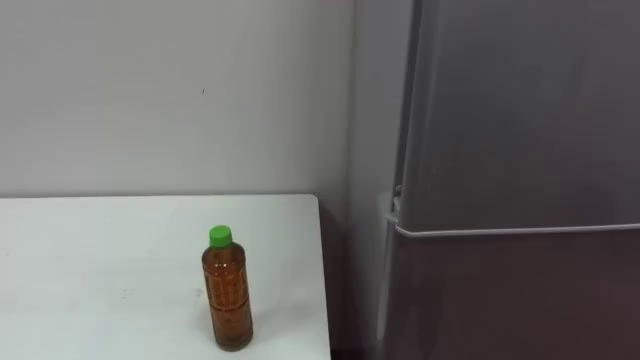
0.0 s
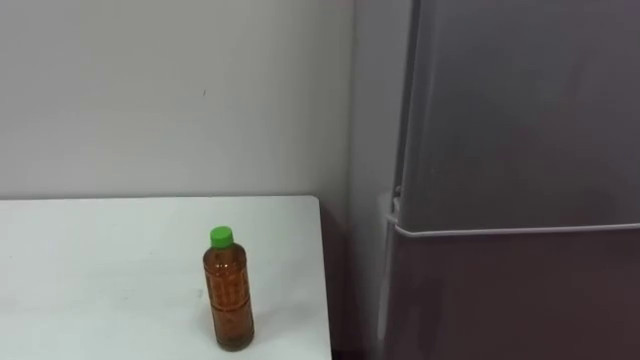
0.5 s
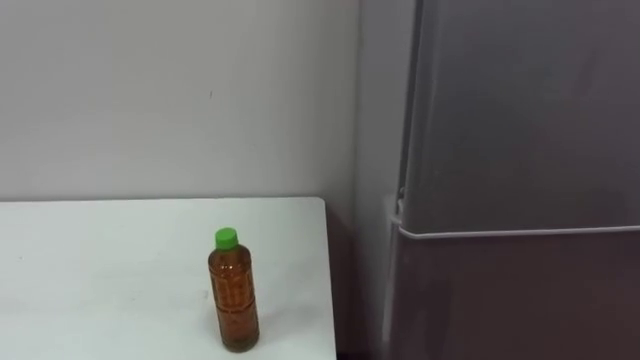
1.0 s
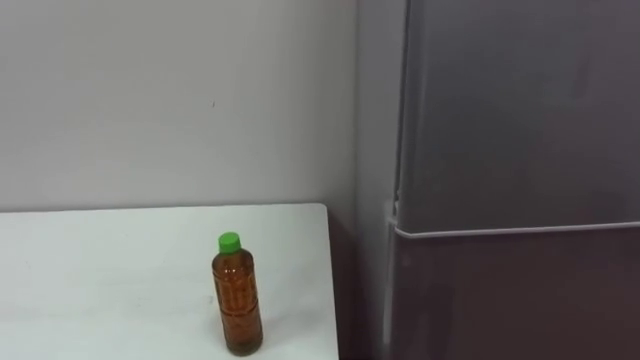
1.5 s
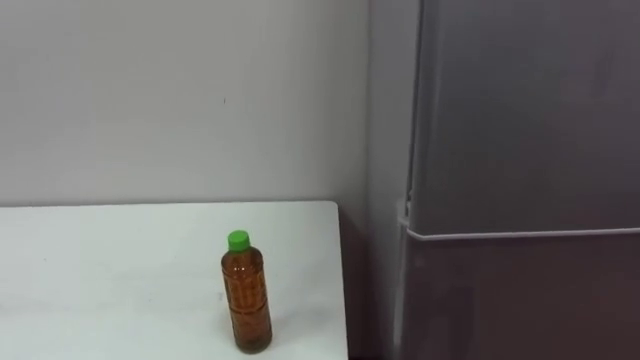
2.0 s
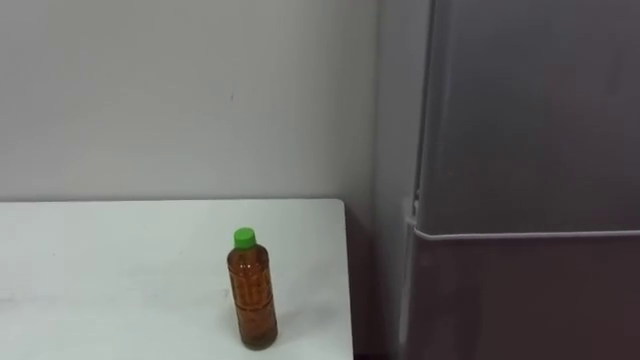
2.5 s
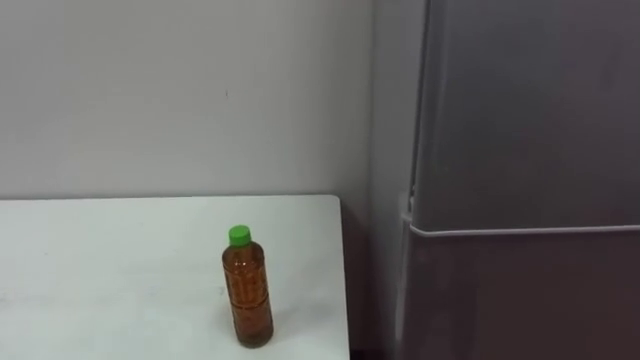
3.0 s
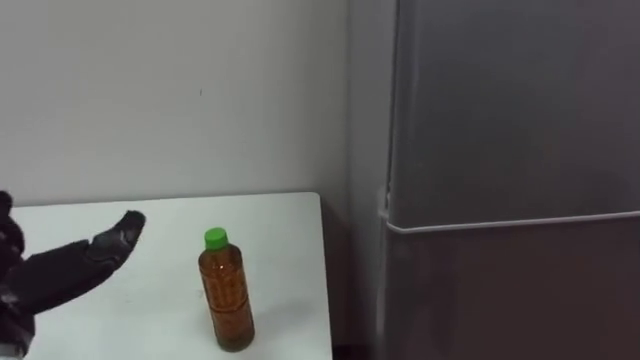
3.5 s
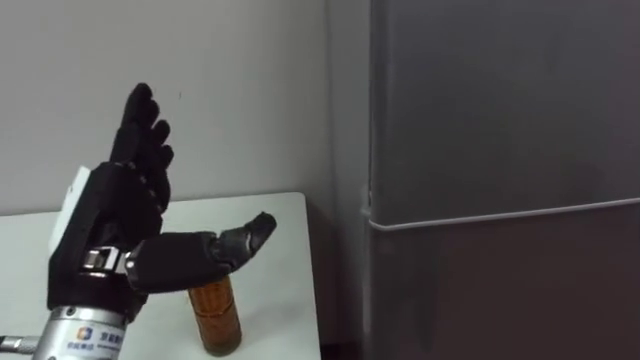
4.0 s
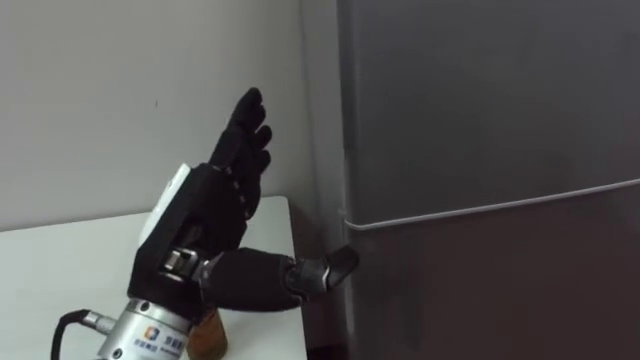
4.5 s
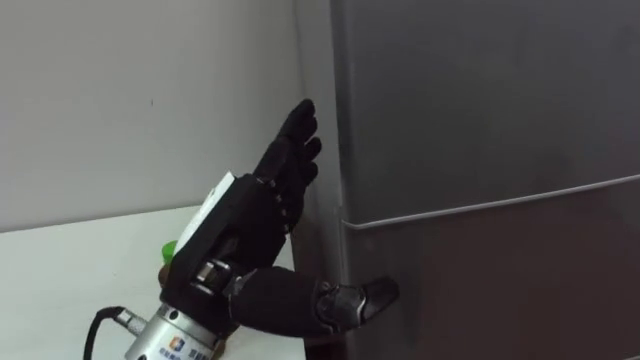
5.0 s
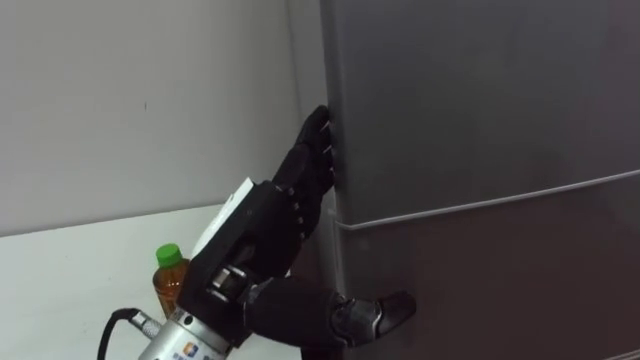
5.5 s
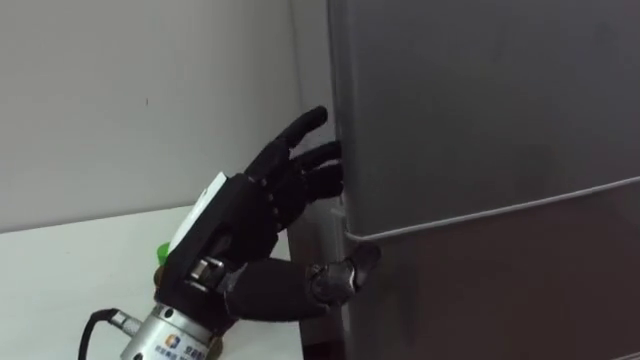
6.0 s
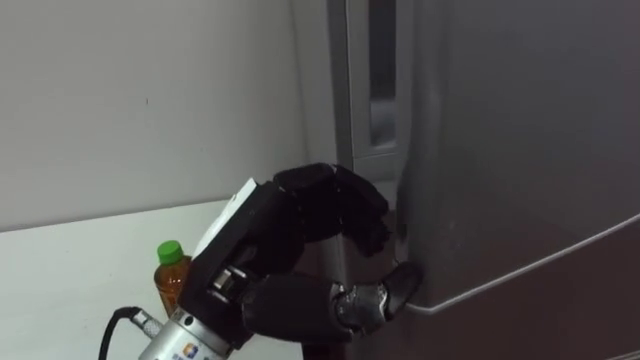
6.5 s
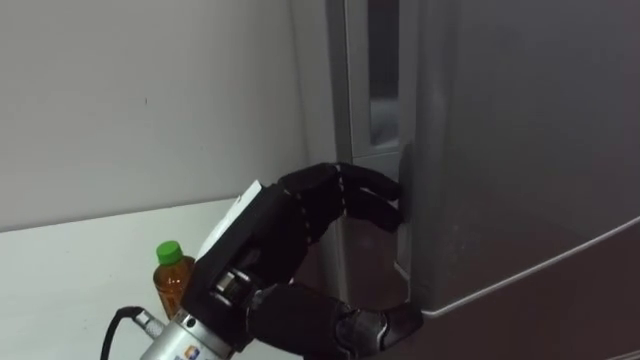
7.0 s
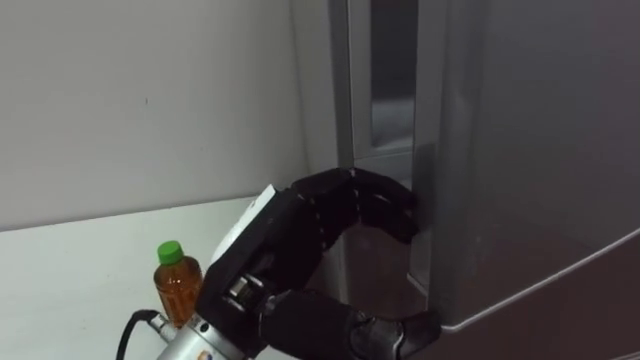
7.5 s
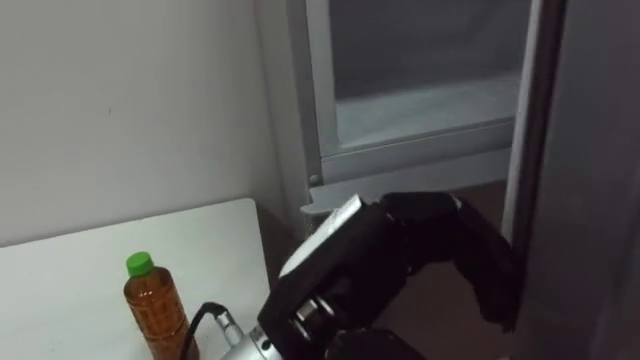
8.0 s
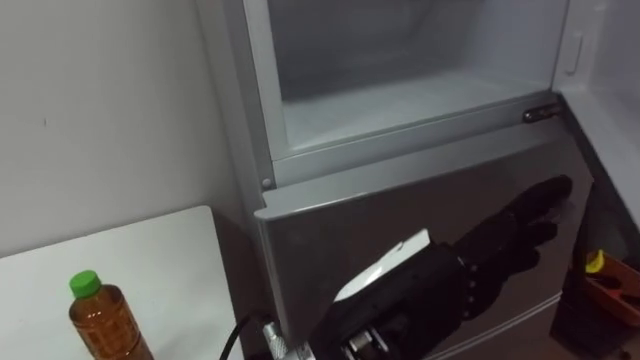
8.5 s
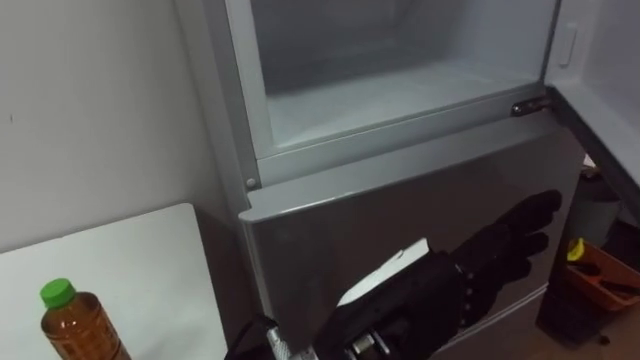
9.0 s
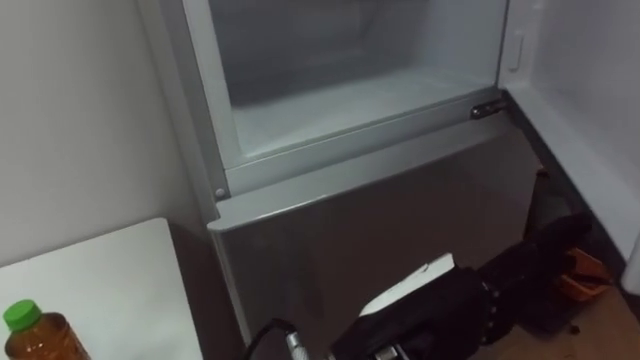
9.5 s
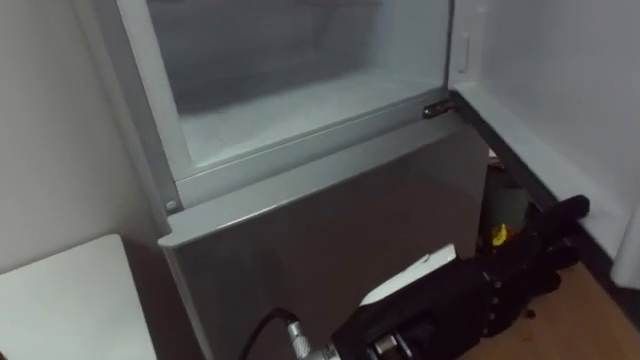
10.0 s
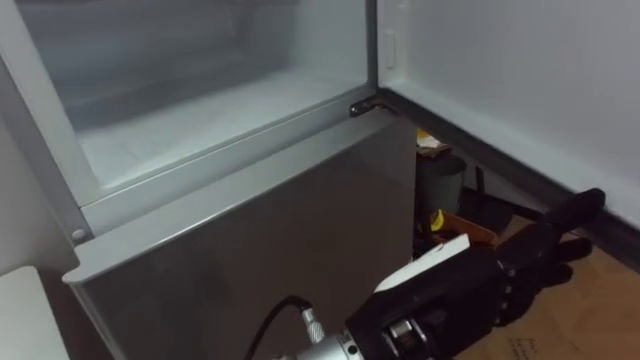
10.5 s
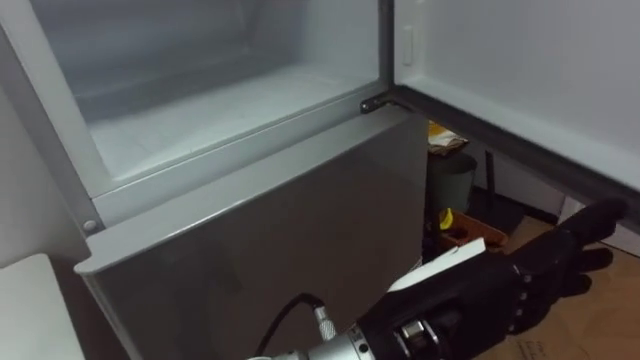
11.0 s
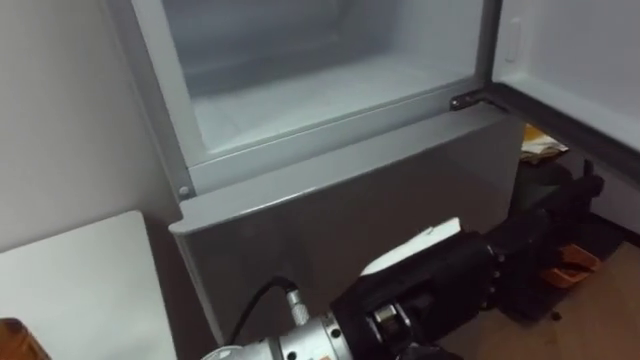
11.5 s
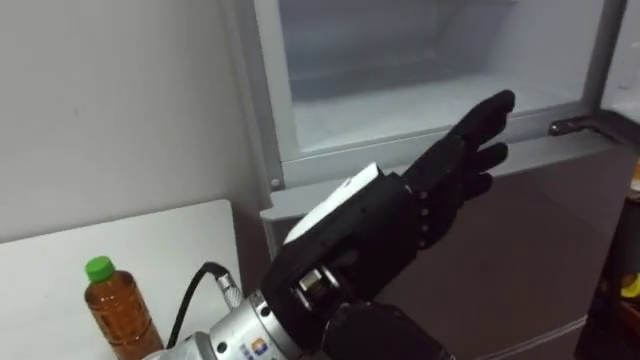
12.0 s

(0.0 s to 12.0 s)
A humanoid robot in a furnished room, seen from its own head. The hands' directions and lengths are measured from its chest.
Task of the whole recording: Open the upper refrigerator door, put the drink from the table into the refrigerator, and then close the refrigerator door.
4.0 s - 6.0 s: The left hand moves to the right, about 10 cm.
6.0 s - 8.0 s: The left hand travels to the right by approximately 10 cm, and closes and opens again.
8.0 s - 10.0 s: The left hand is displaced to the right by approximately 5 cm.
10.0 s - 12.0 s: The left hand moves some 5 cm.

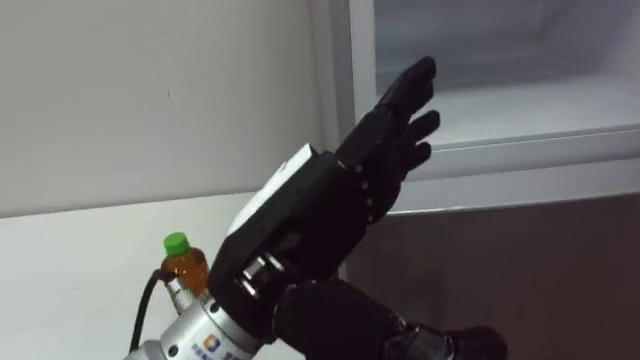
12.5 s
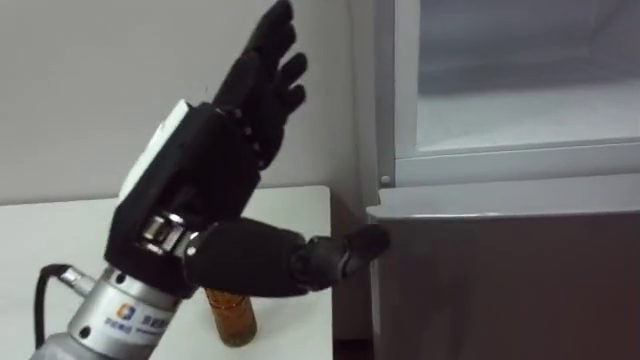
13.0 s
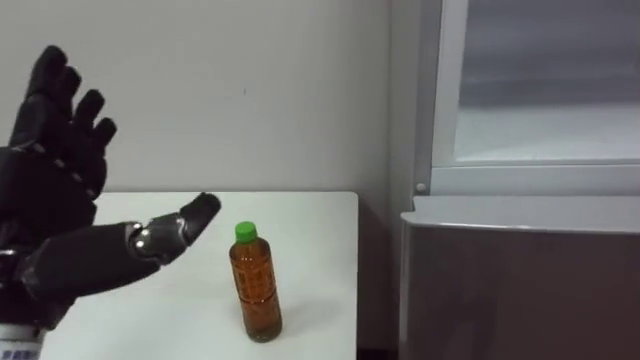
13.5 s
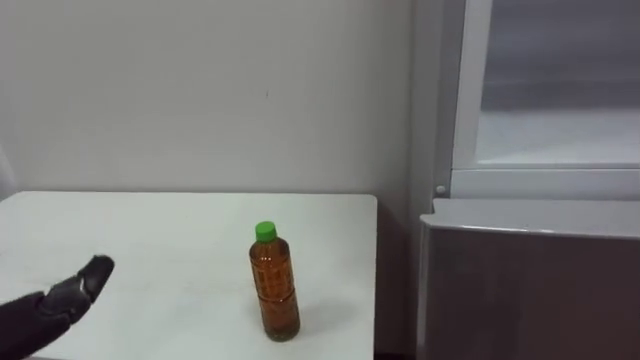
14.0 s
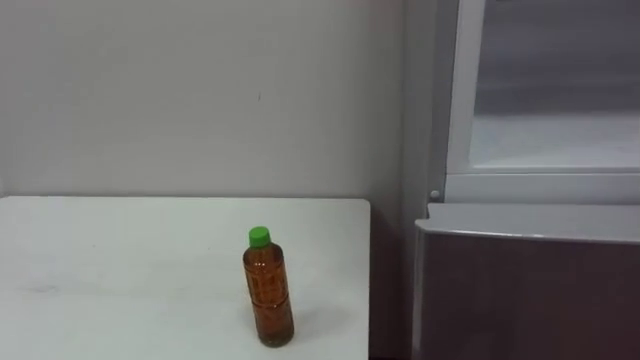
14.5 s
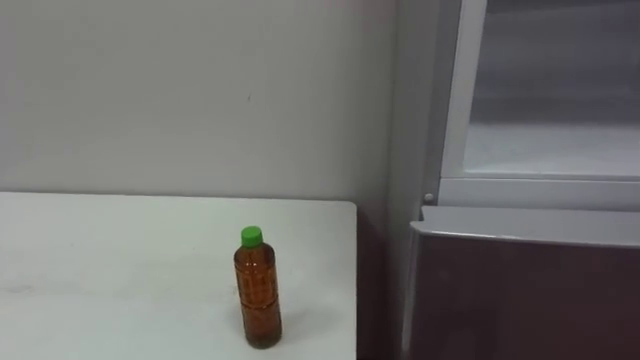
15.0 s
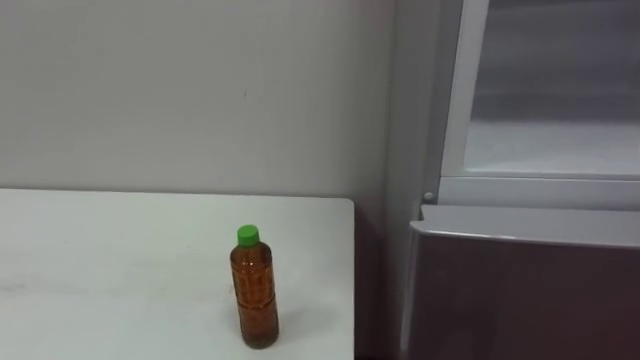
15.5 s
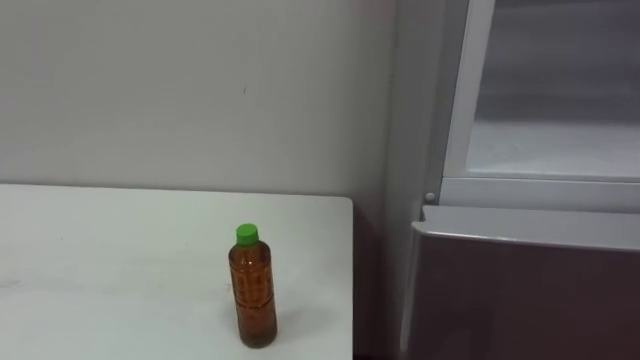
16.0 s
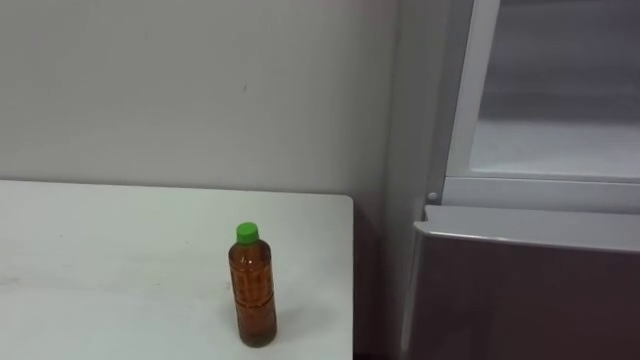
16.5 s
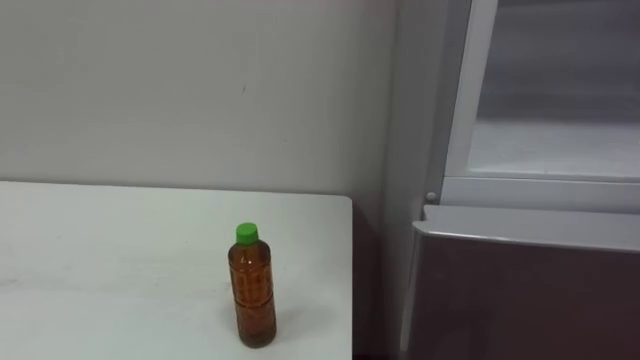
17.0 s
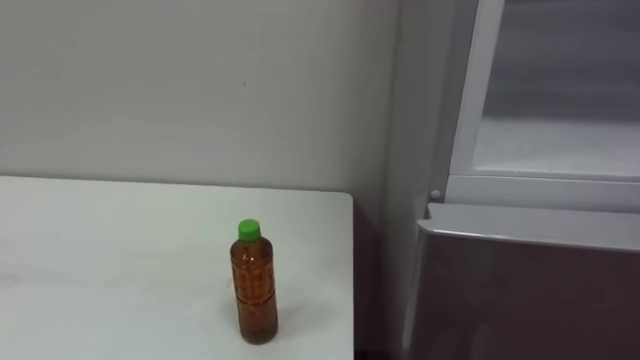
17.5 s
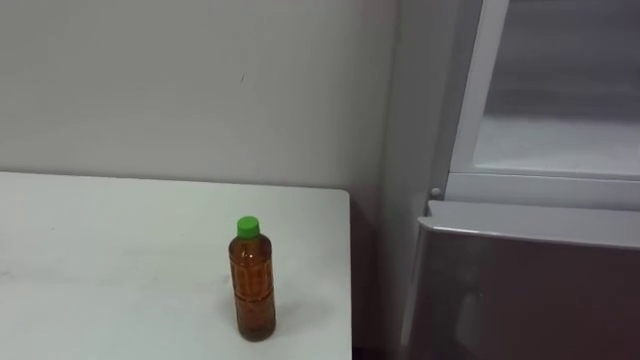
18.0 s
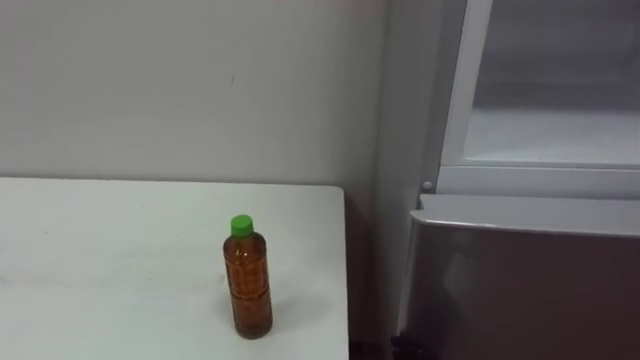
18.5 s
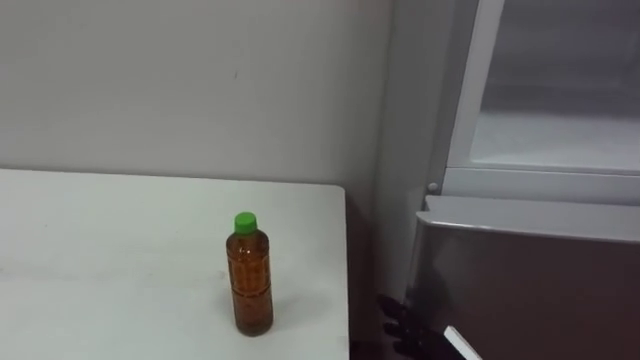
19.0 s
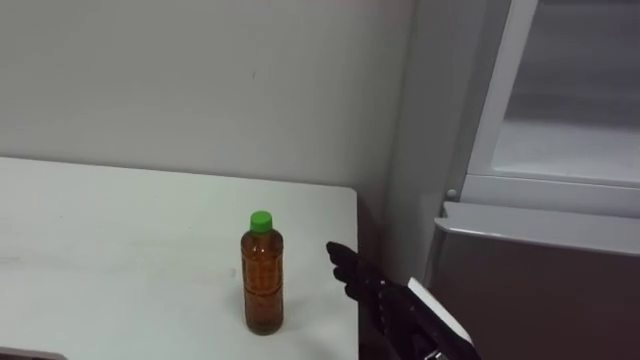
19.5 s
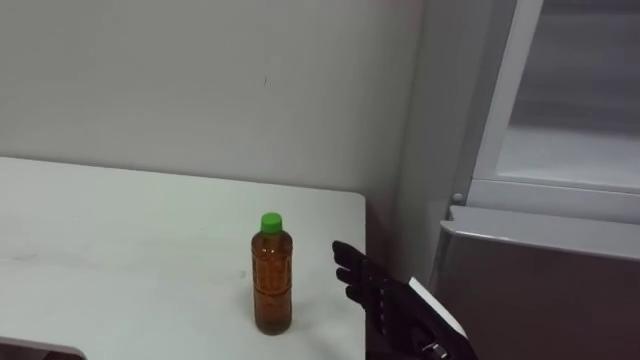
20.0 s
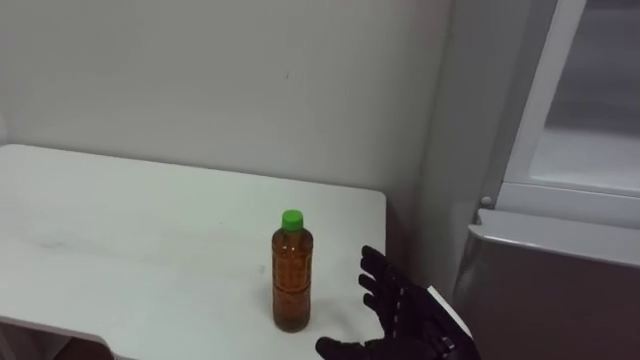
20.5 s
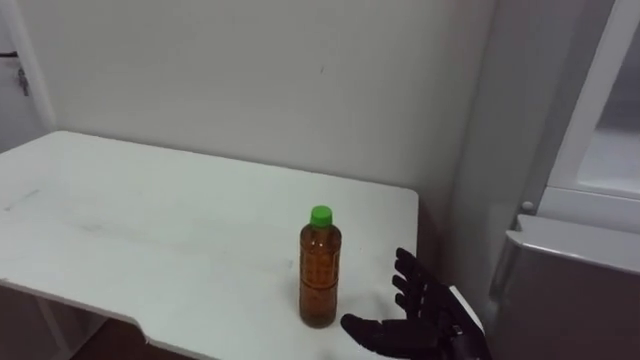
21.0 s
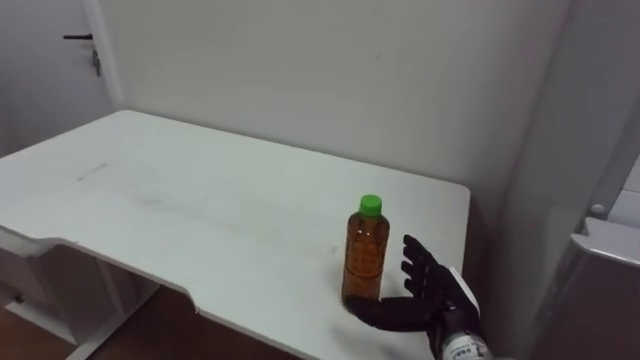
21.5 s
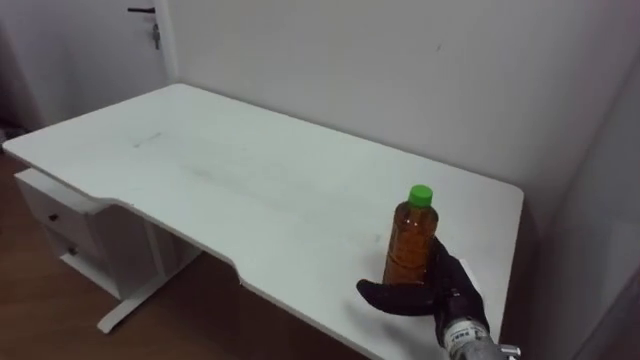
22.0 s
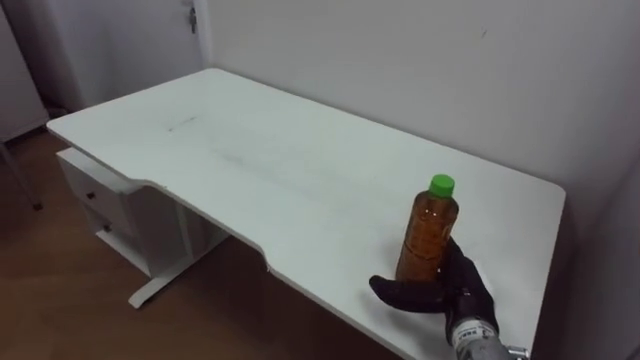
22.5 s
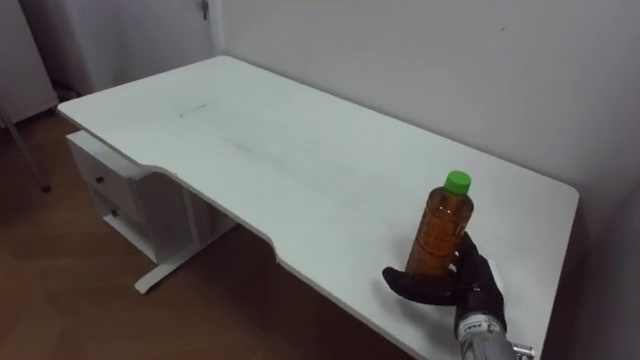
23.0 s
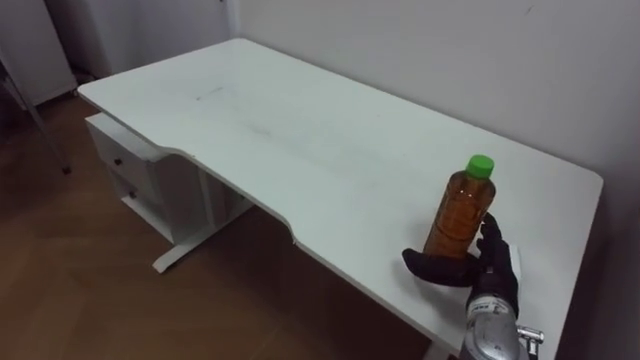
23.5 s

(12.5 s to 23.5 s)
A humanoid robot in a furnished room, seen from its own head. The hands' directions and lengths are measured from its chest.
Task of the whole recording: Open the upper refrigerator door, put the drink from the table into the refrigerator, and then close the refrigerator door.
20.0 s - 21.5 s: The right hand is displaced forward and downward by approximately 10 cm.
21.5 s - 23.5 s: The right hand heads to the right, covering roughly 5 cm.
